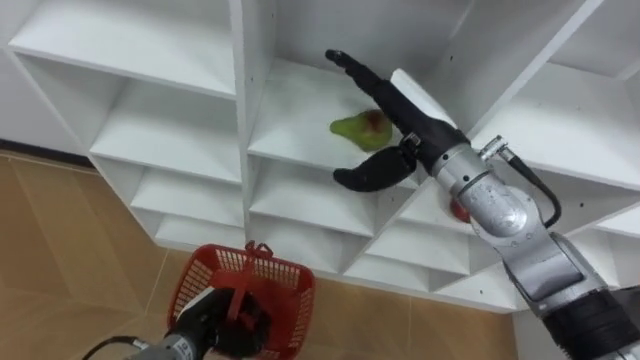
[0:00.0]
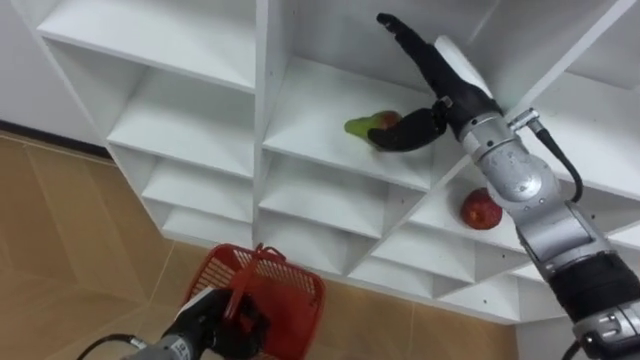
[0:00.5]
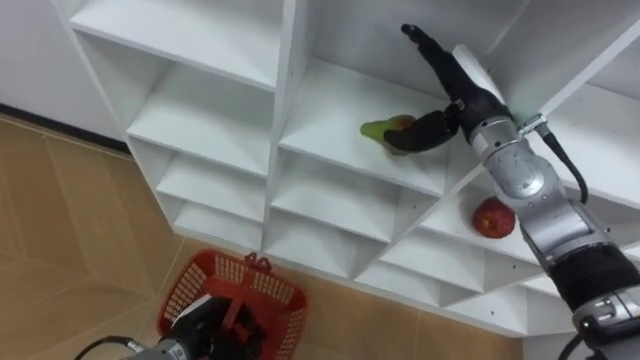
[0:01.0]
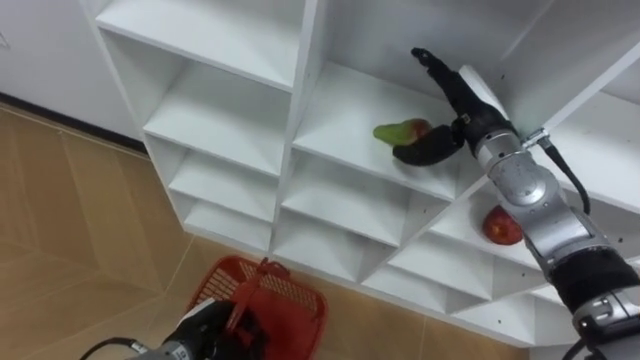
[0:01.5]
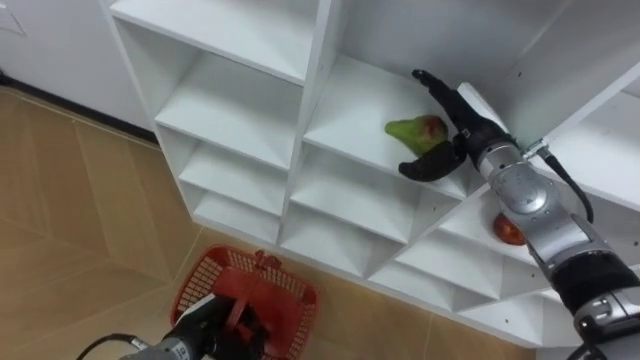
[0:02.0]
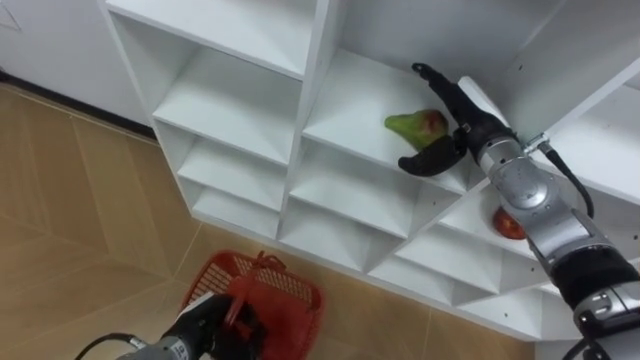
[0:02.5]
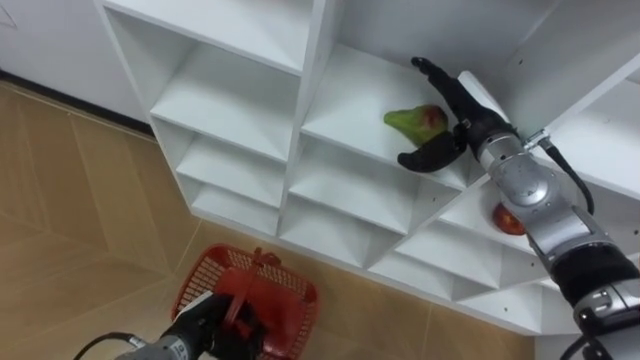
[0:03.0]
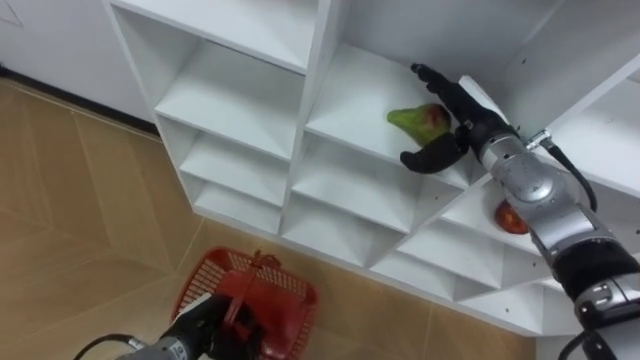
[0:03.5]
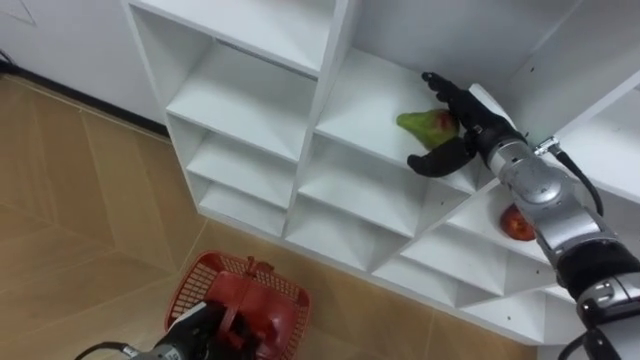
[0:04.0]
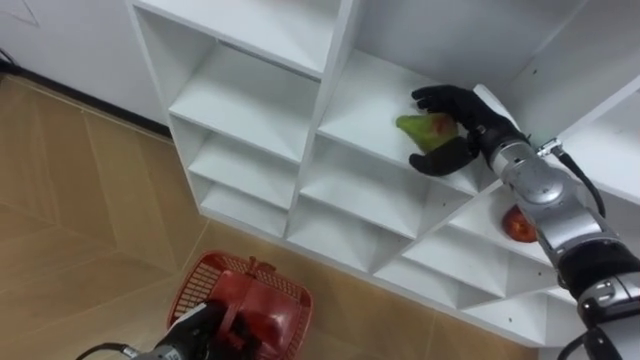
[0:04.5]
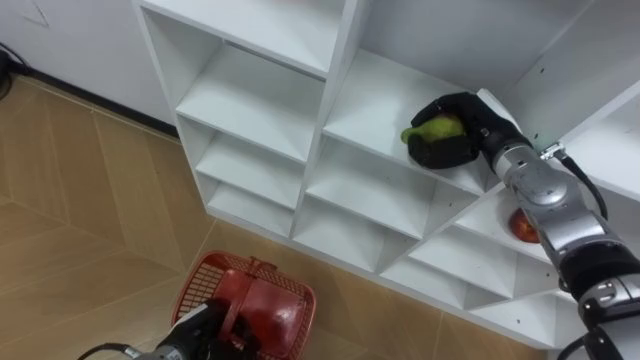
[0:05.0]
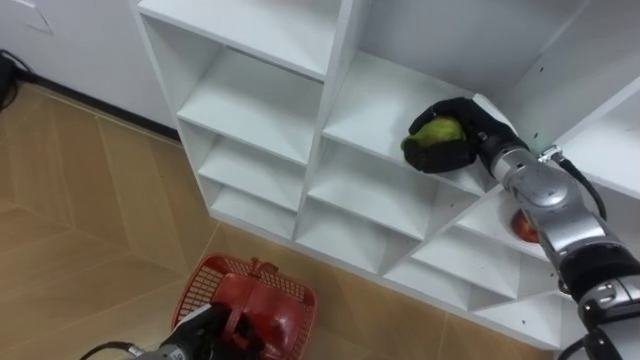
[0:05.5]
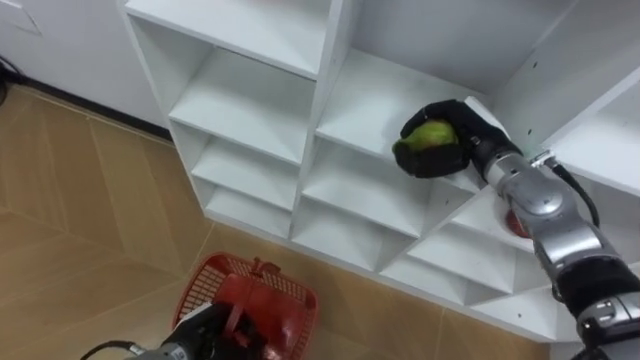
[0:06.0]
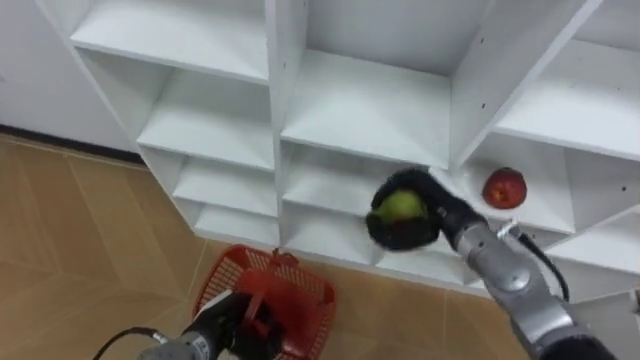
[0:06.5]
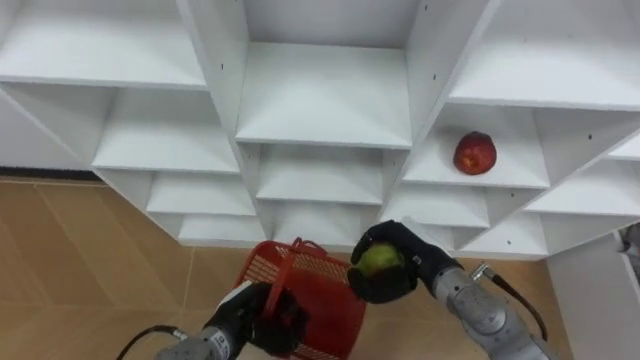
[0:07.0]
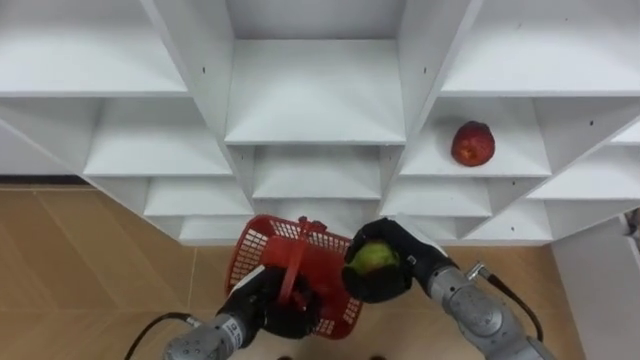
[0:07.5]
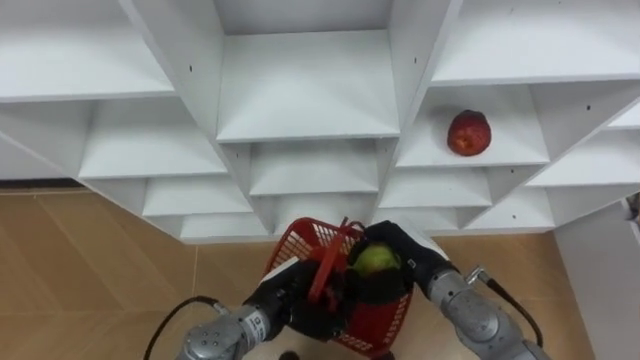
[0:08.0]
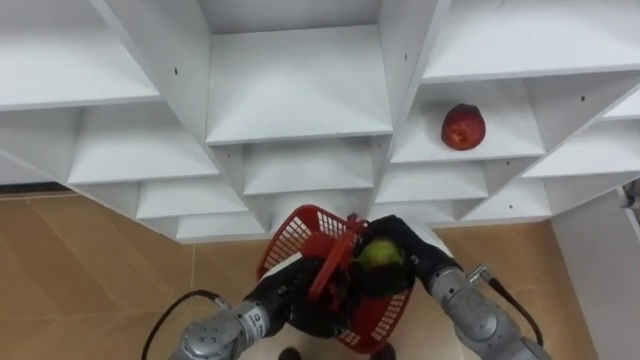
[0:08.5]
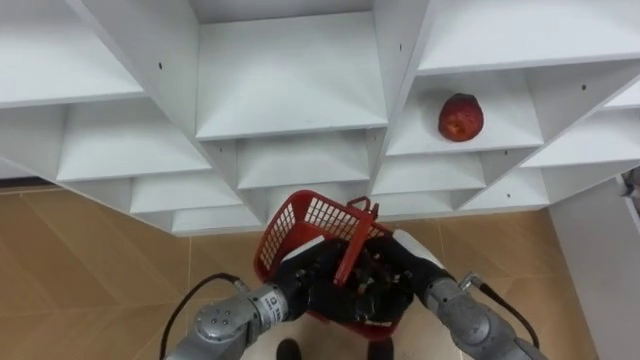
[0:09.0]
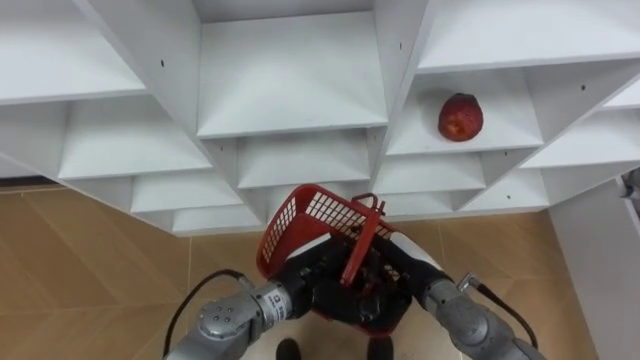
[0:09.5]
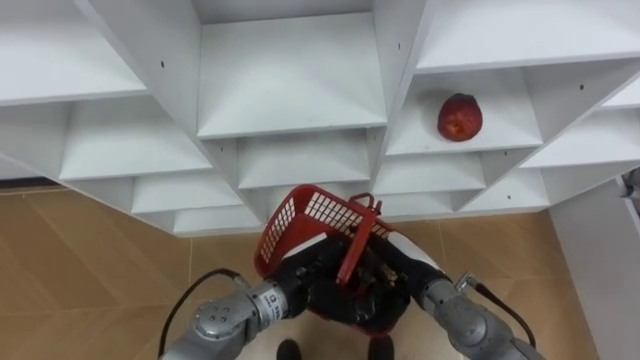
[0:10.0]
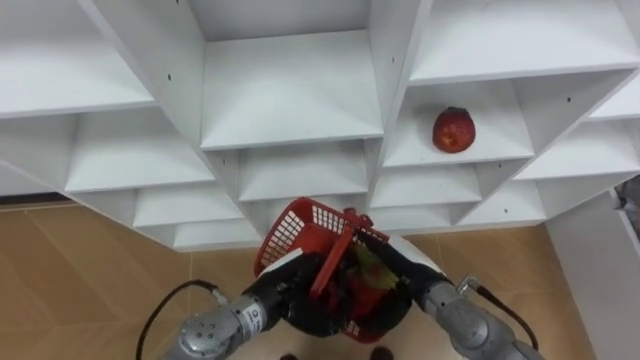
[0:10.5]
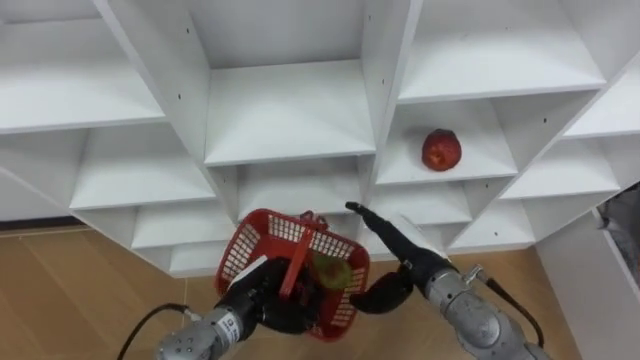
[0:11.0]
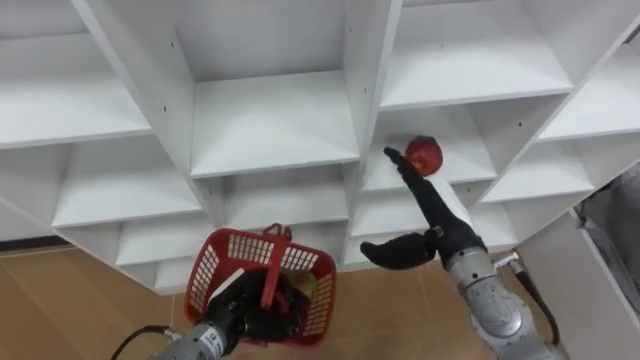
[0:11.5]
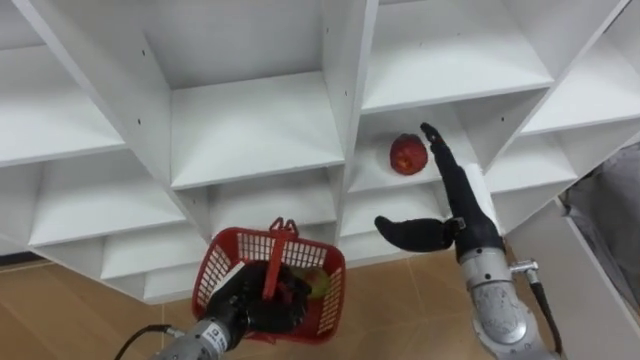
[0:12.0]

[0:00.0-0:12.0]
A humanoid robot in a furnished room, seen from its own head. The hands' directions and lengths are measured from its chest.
Task of the whole recording: Hold the basket and collect the fruits from 3 different cells of the closet into it.
0:00.0 to 0:02.0: The right hand goes about 10 cm to the right, downward and forward.
0:04.0 to 0:06.0: The right hand closes up.
0:06.0 to 0:08.0: The left hand is displaced to the right and upward by approximately 15 cm. The right hand goes roughly 15 cm backward, downward and to the left.
0:08.0 to 0:10.0: The left hand changes place by some 5 cm. Meanwhile the right hand opens its fingers.
0:10.0 to 0:12.0: The right hand goes roughly 15 cm upward and to the right, while the left hand goes roughly 10 cm to the left and downward.

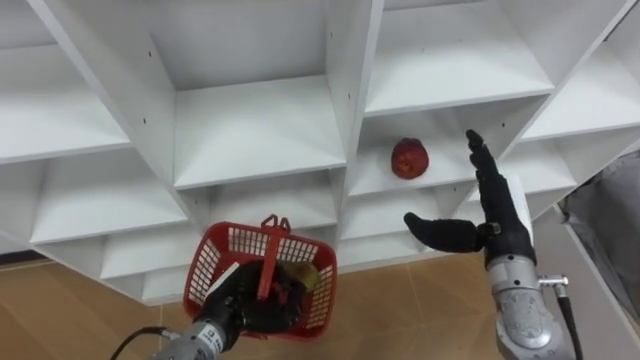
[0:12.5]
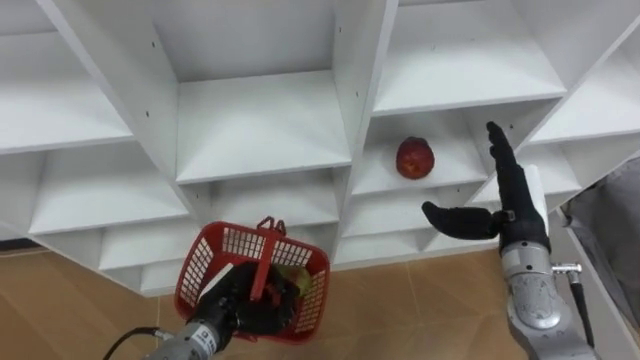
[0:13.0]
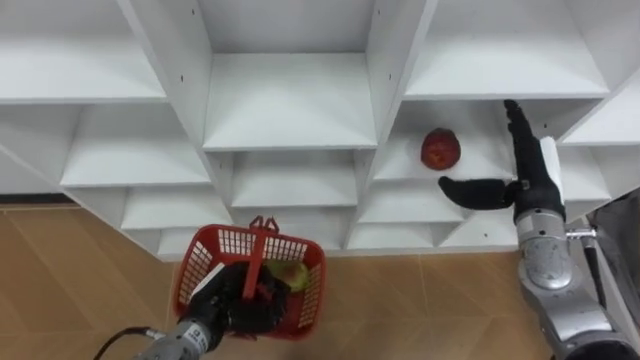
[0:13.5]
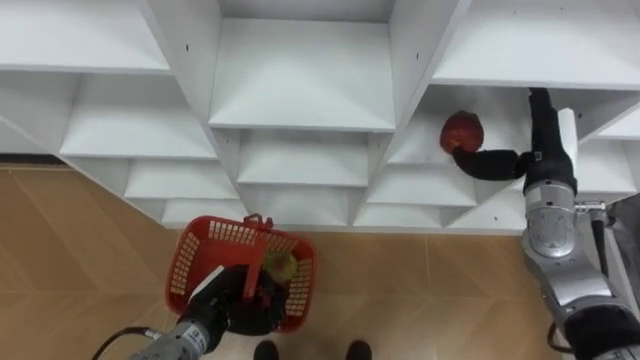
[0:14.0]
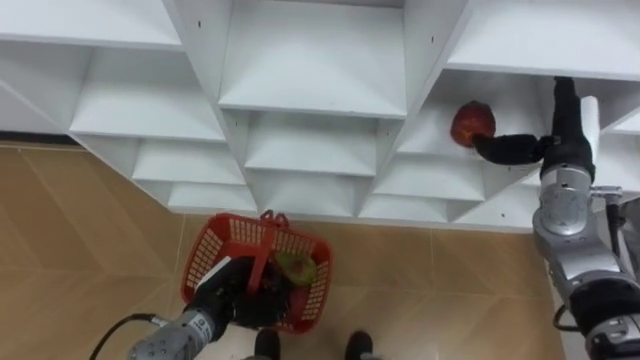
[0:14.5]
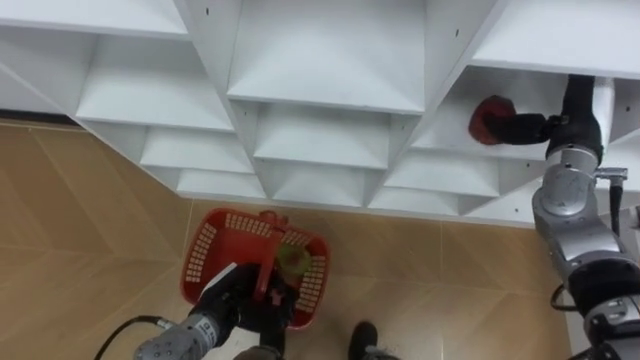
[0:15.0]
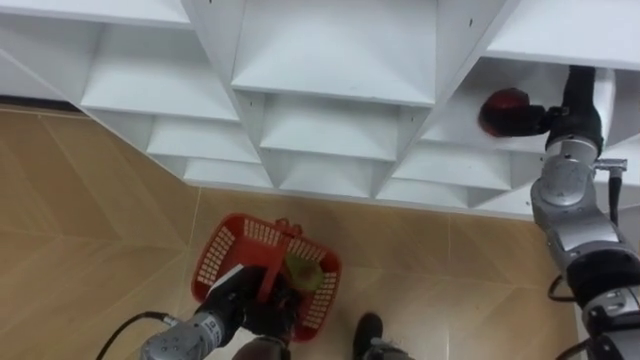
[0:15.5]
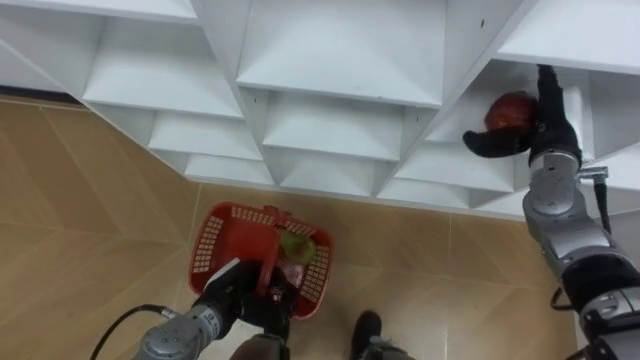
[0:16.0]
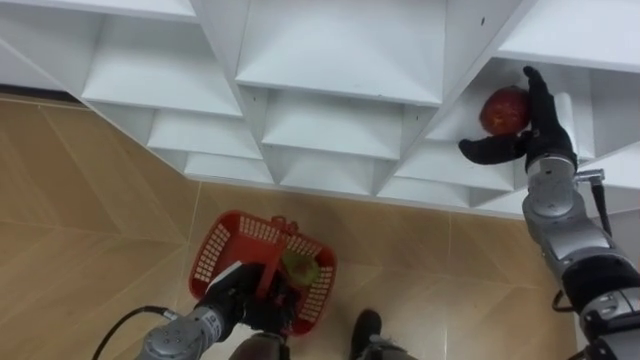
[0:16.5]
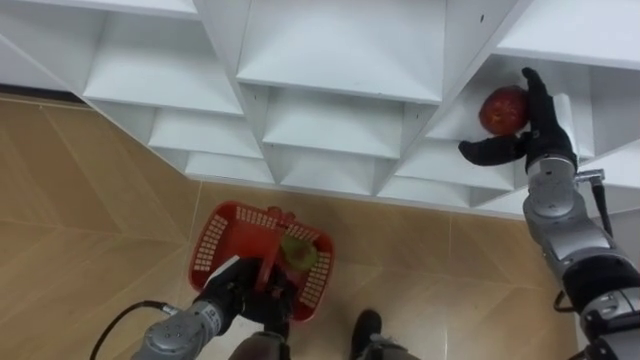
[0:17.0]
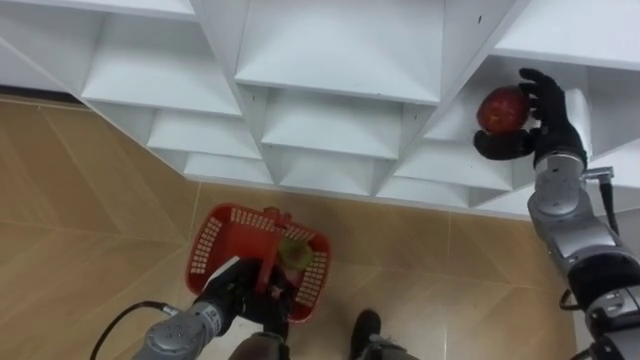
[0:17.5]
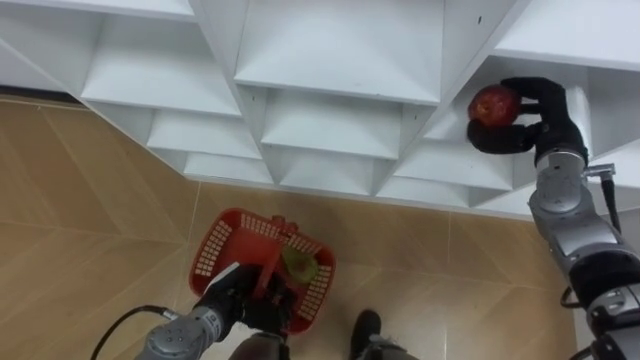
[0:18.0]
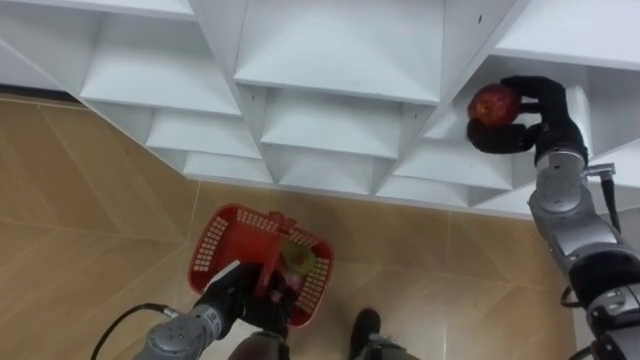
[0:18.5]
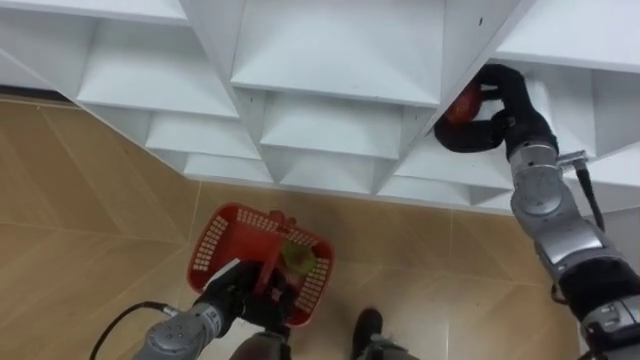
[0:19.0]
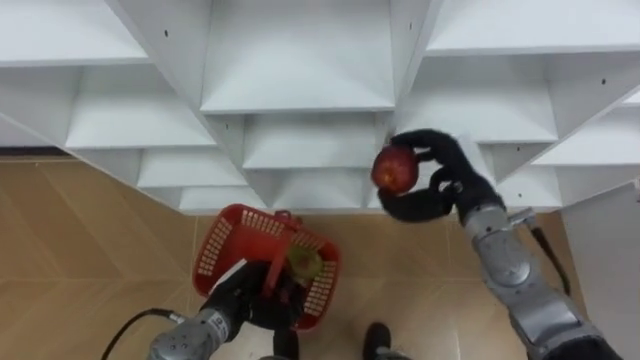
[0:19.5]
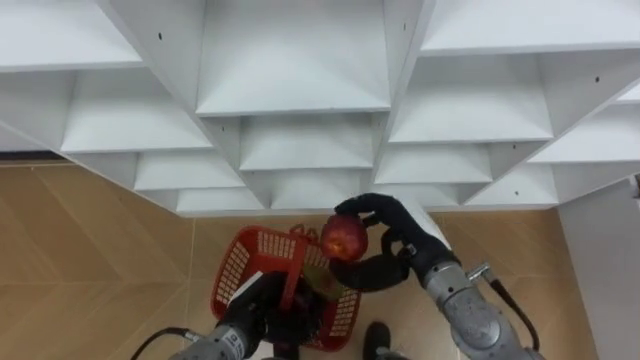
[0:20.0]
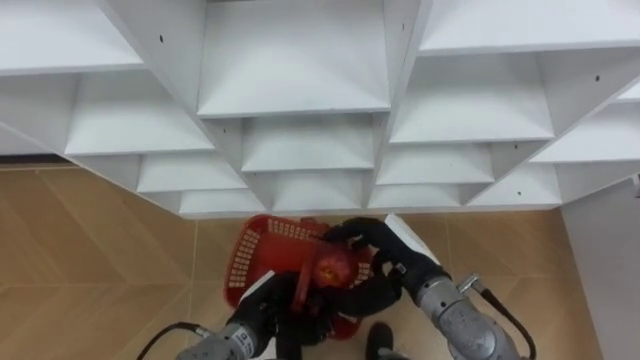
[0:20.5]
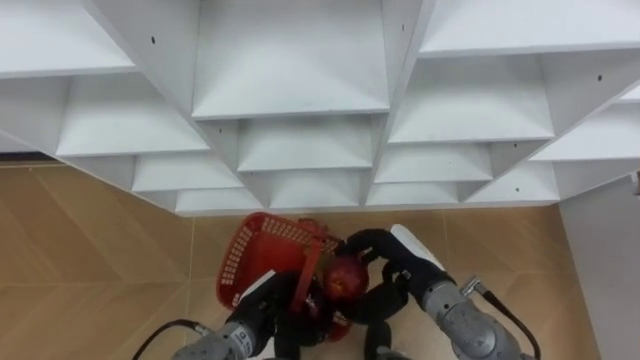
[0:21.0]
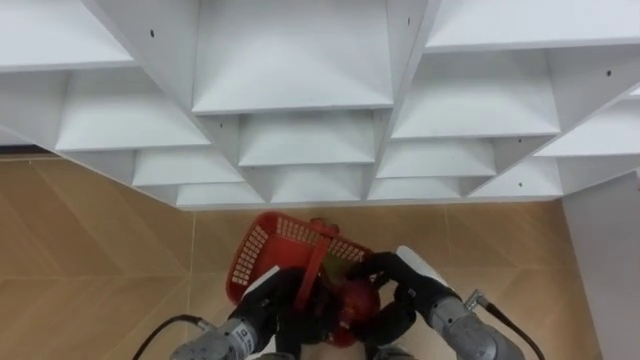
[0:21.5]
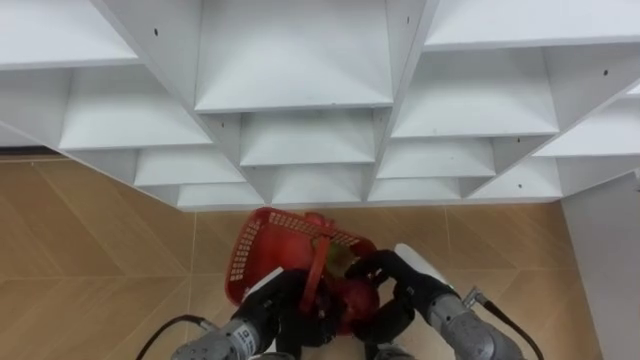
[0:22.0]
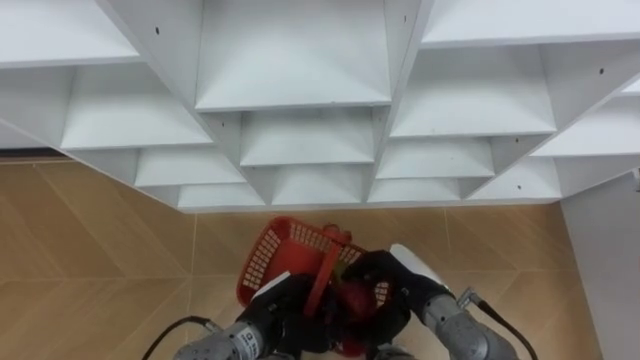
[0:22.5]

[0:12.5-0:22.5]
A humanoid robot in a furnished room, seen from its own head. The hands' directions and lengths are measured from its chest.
Task of the whole recording: Hold the basket and collect the fruits from 3 different cells of the closet into it.
0:12.5 to 0:14.5: The right hand travels forward and to the right by roughly 10 cm.
0:16.5 to 0:18.5: The right hand closes.
0:18.5 to 0:20.5: The left hand goes about 5 cm to the right. The right hand is displaced to the left, backward and downward by about 25 cm.
0:20.5 to 0:22.5: The right hand shifts roughly 5 cm downward.
